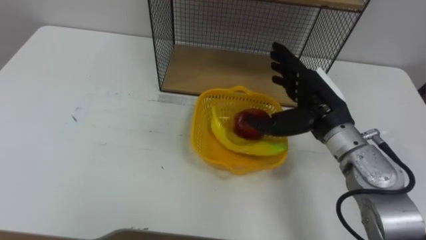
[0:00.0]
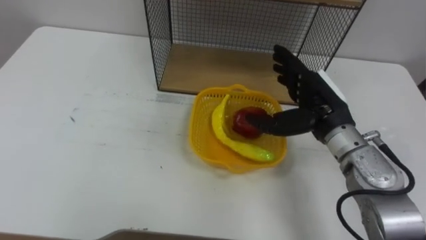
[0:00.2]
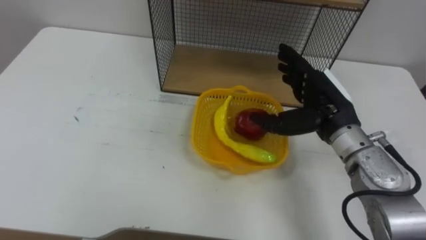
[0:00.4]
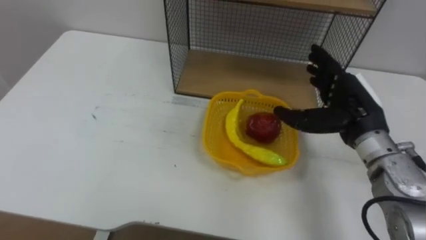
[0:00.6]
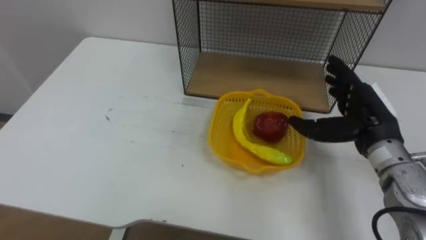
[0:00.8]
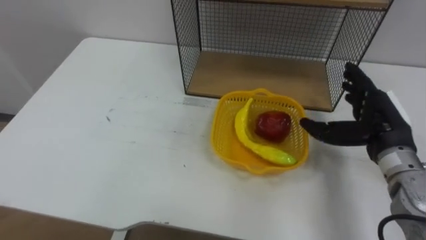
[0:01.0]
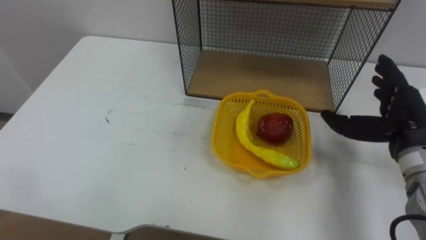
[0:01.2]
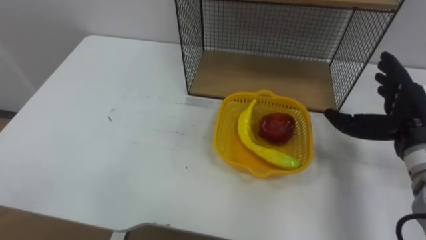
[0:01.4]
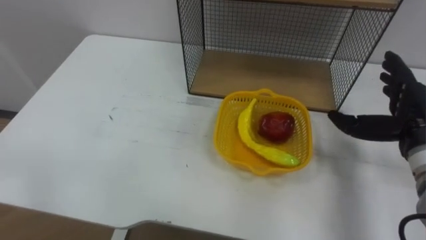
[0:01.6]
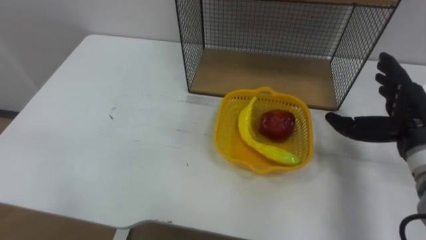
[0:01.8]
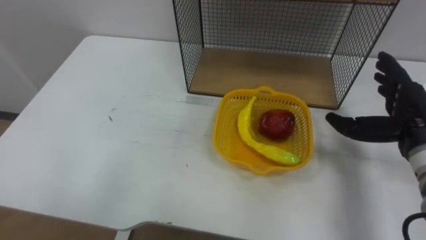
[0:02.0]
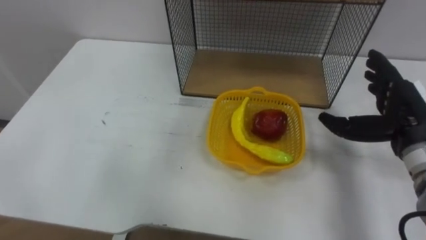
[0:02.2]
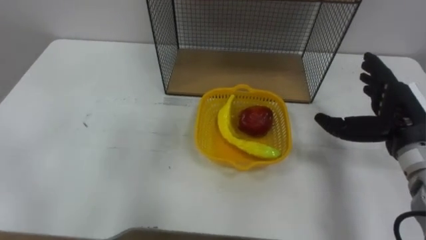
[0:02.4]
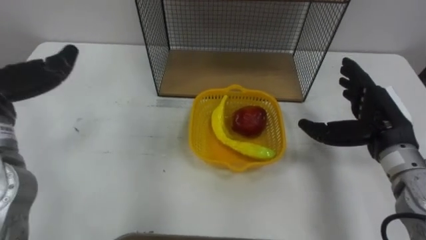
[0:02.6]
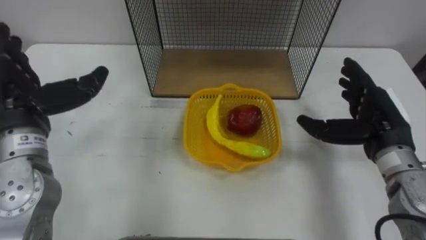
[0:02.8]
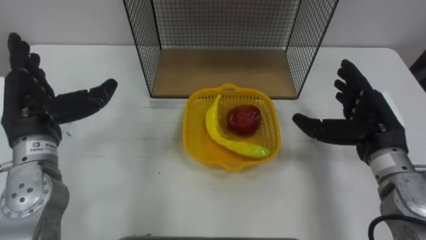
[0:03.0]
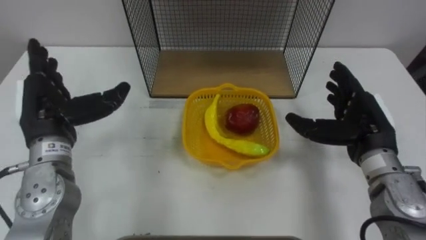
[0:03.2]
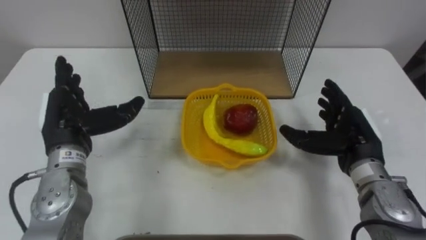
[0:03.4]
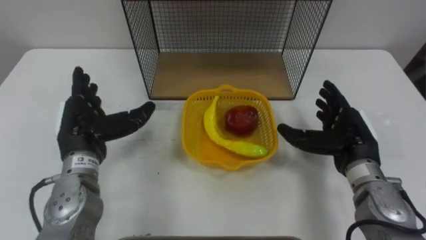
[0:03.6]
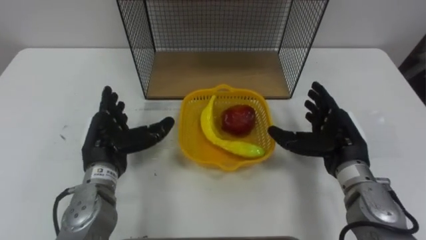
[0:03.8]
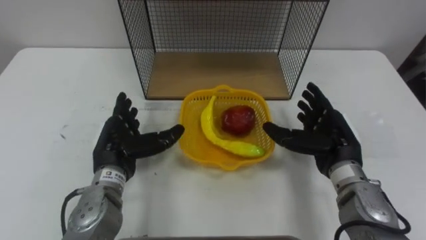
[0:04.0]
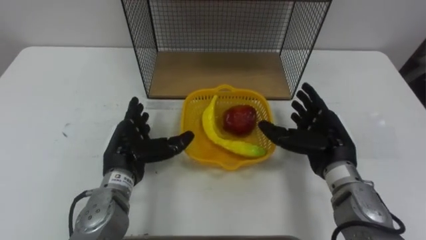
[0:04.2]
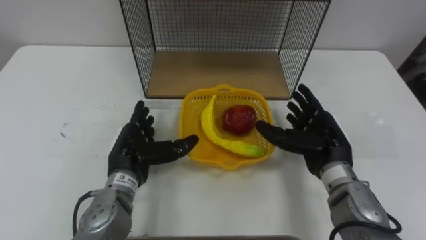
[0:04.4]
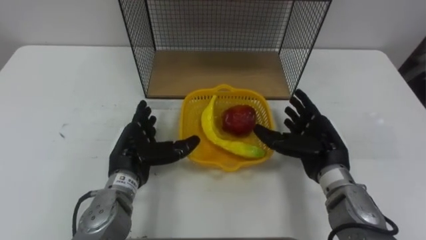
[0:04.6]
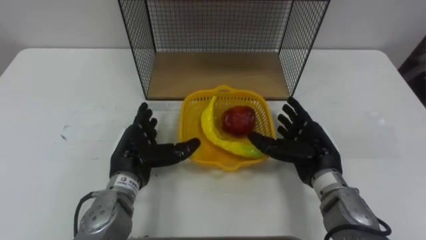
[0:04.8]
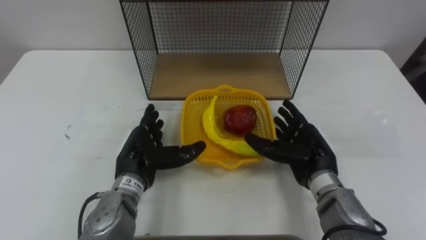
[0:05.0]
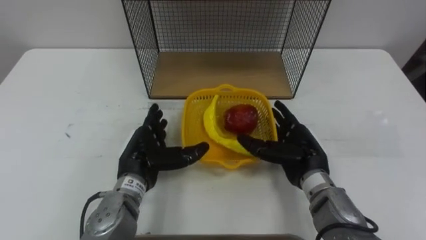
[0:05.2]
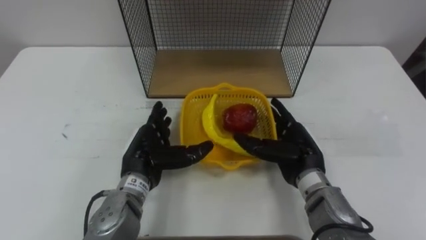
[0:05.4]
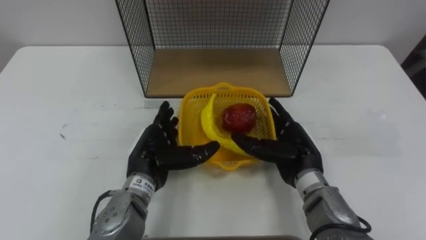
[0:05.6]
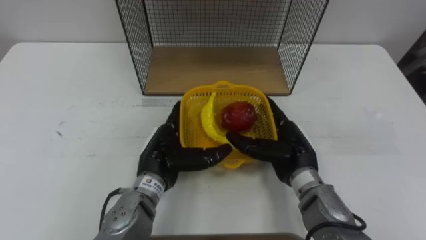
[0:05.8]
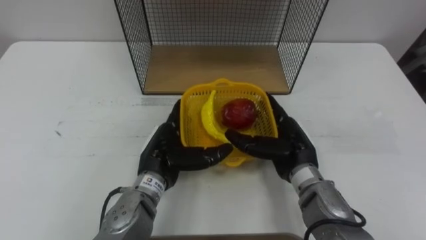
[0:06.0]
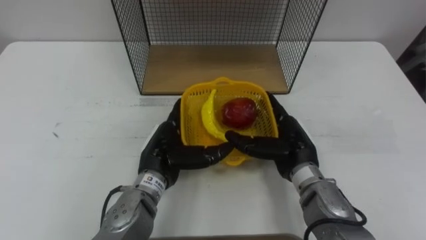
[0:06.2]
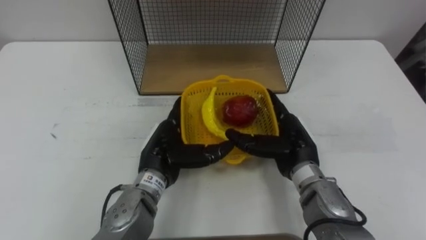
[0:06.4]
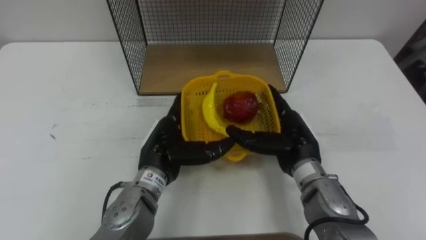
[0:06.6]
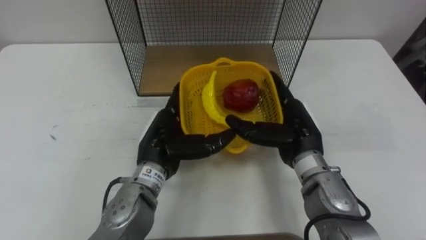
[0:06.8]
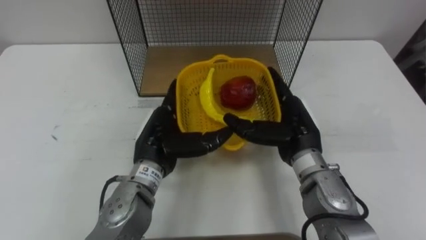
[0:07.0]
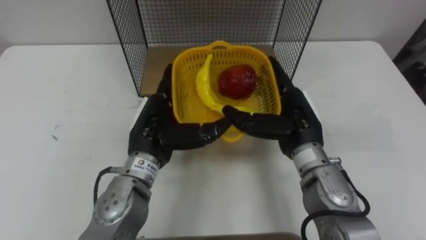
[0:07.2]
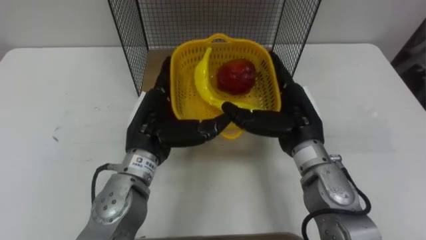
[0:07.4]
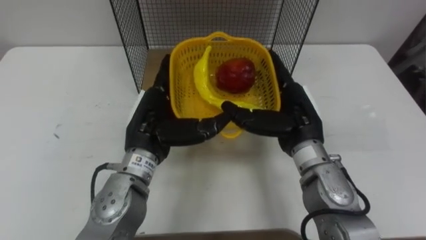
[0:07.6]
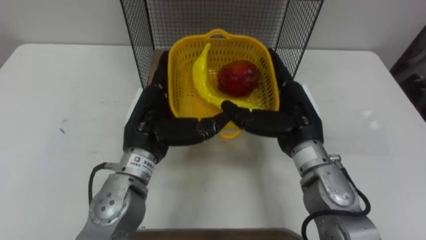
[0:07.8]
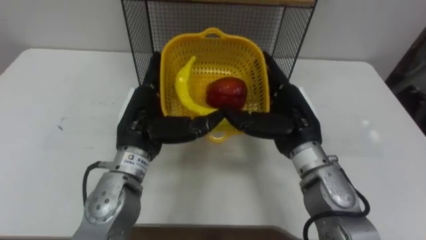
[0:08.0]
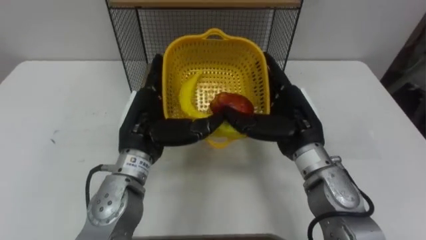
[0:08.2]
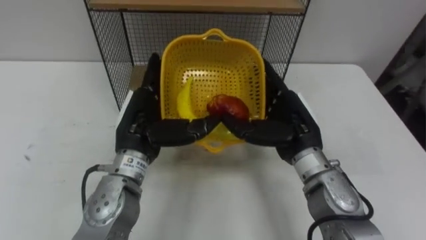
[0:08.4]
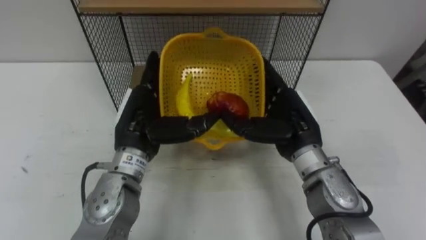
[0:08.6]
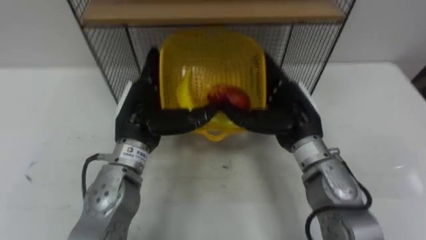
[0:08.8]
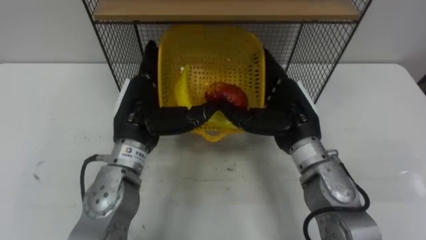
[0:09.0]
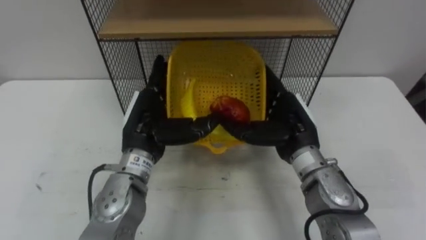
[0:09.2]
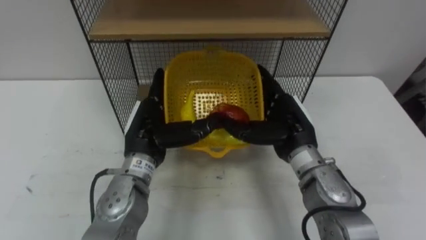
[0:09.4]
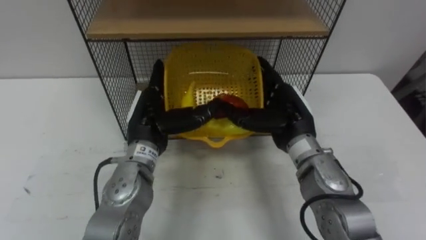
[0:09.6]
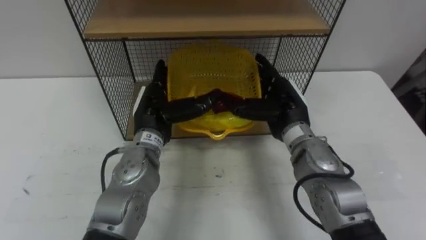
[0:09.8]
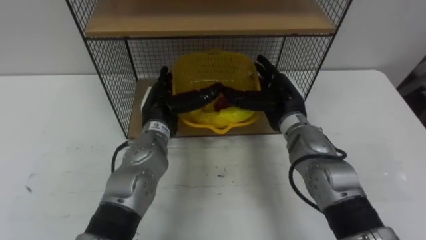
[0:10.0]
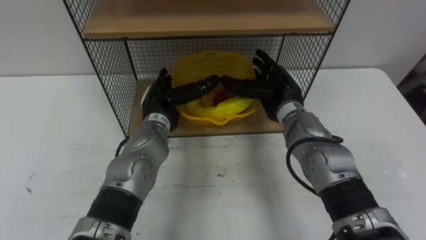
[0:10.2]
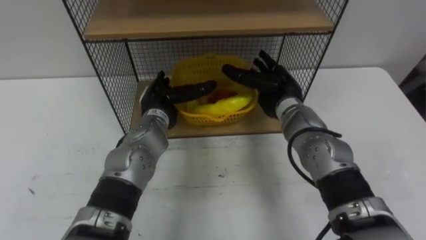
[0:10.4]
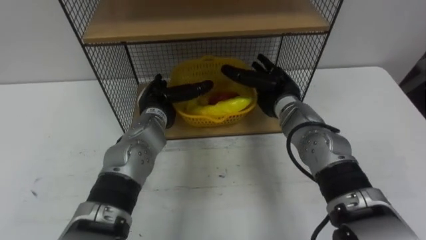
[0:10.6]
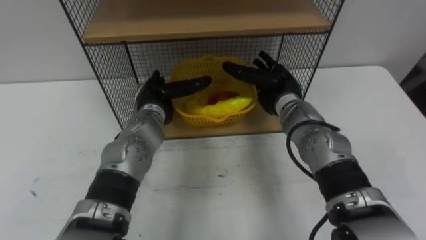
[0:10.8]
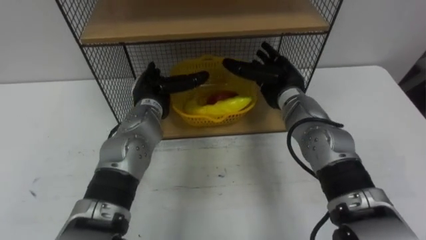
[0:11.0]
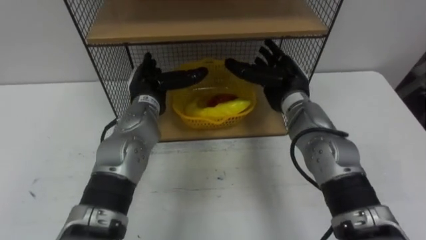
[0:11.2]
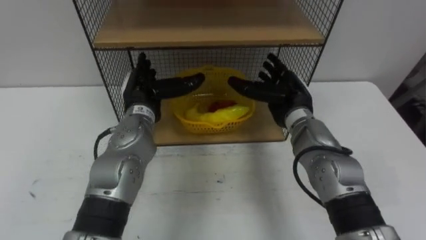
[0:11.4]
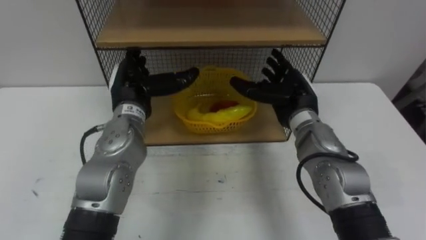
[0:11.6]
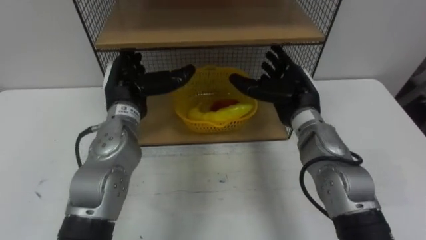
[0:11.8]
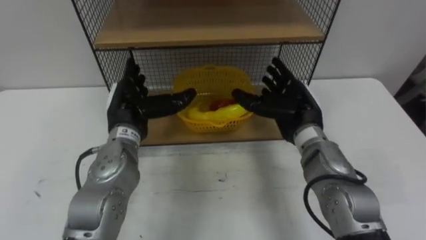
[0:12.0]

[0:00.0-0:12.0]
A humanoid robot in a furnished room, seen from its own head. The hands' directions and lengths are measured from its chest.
Task of the whole recording: Put the fruit on the table into the basket, then place the basket on the shelf.
0:00.0 to 0:01.6: The right hand is displaced to the right by roughly 15 cm.
0:01.6 to 0:03.0: The right hand shifts about 5 cm to the left.
0:03.0 to 0:04.4: The left hand goes about 15 cm to the right and downward, while the right hand travels to the left by some 5 cm.
0:04.4 to 0:06.0: The left hand is displaced to the right by approximately 5 cm. Meanwhile the right hand travels to the left by some 5 cm.
0:06.0 to 0:07.6: The two hands go approximately 5 cm upward.
0:09.0 to 0:10.4: The left hand moves forward and downward, some 10 cm, while the right hand is displaced forward by approximately 10 cm.
0:10.4 to 0:12.0: The right hand is displaced backward by approximately 5 cm, while the left hand is displaced to the left by approximately 5 cm.

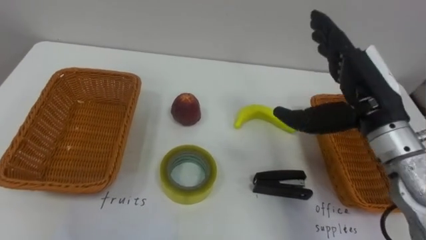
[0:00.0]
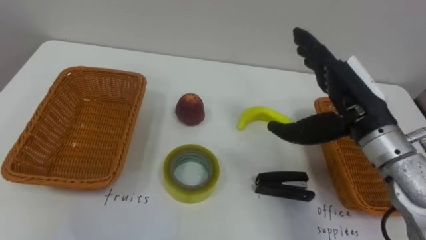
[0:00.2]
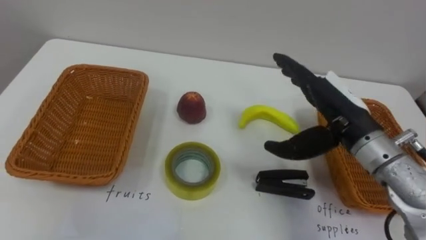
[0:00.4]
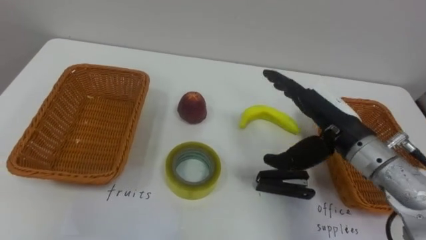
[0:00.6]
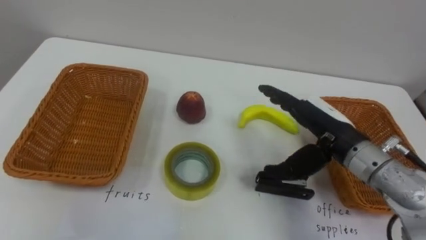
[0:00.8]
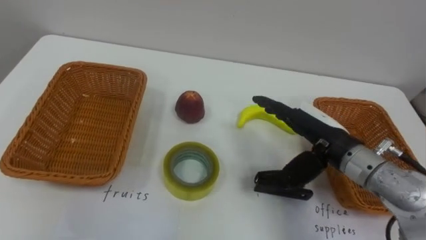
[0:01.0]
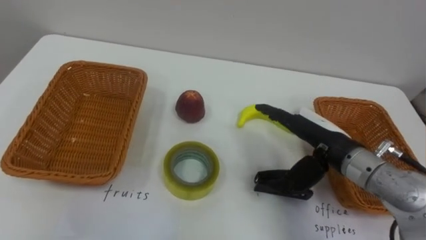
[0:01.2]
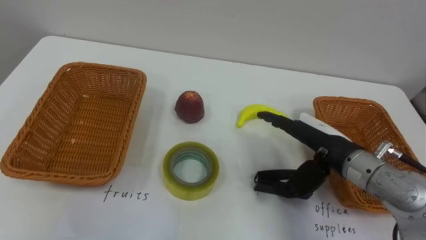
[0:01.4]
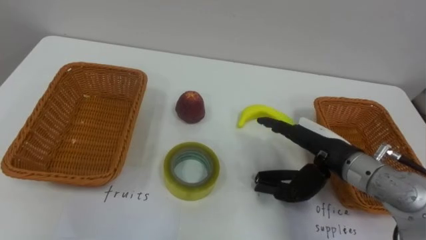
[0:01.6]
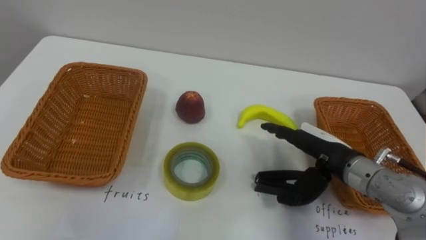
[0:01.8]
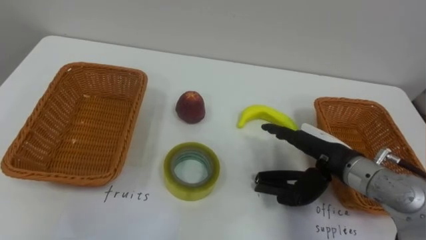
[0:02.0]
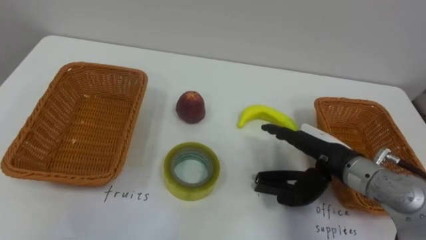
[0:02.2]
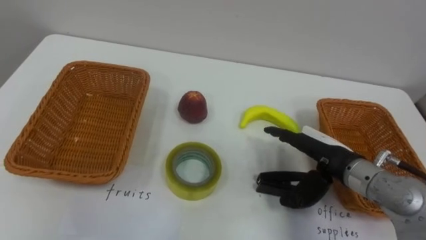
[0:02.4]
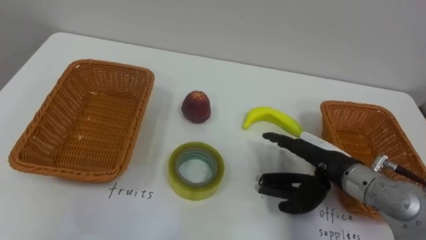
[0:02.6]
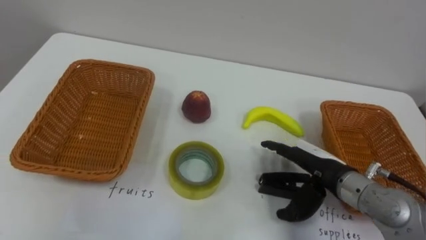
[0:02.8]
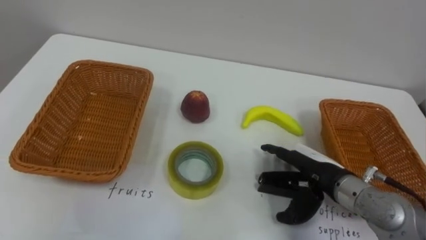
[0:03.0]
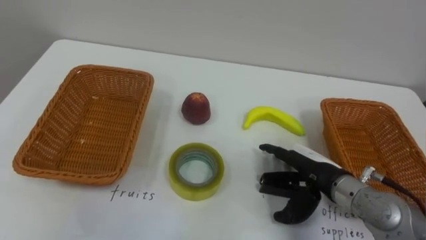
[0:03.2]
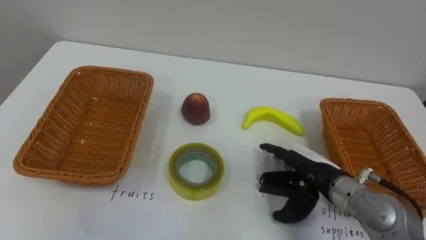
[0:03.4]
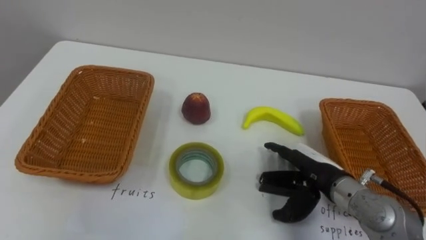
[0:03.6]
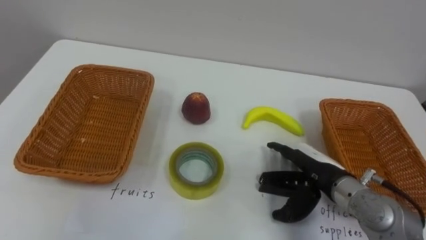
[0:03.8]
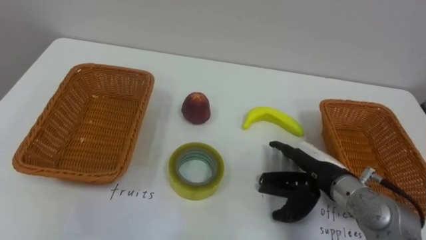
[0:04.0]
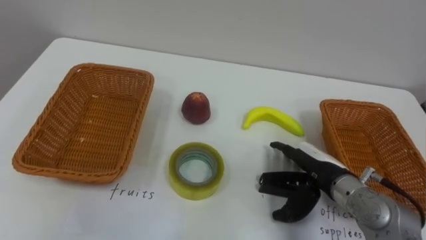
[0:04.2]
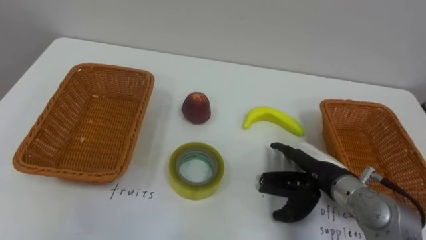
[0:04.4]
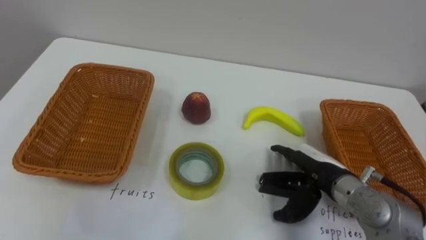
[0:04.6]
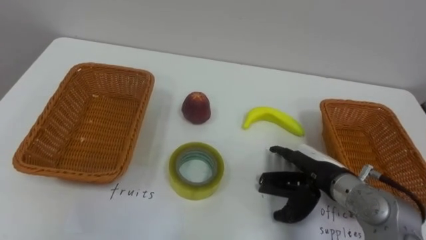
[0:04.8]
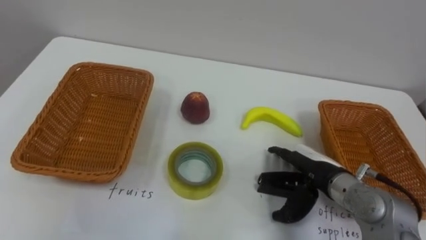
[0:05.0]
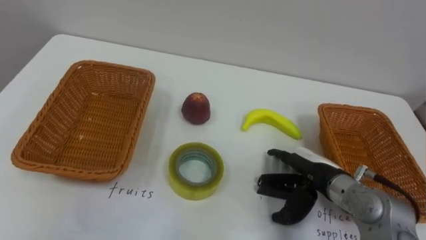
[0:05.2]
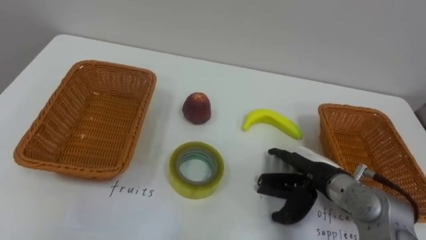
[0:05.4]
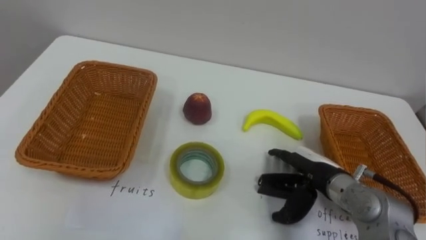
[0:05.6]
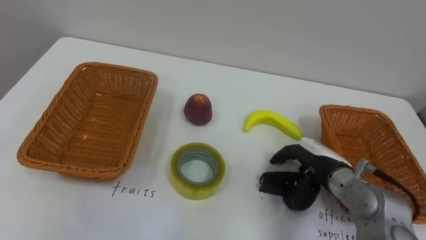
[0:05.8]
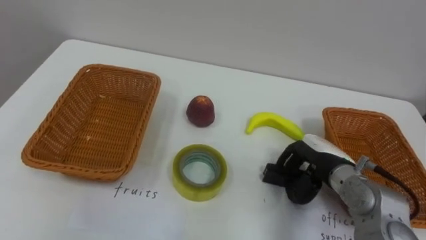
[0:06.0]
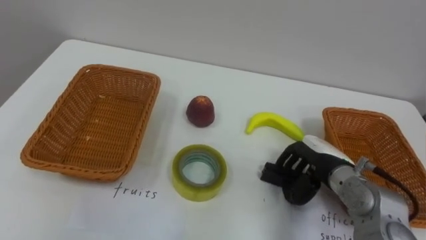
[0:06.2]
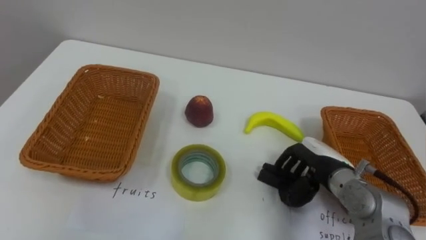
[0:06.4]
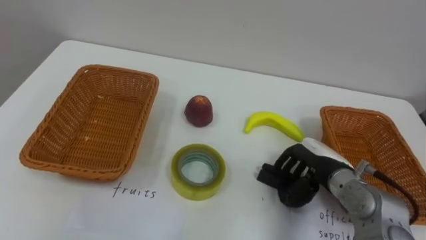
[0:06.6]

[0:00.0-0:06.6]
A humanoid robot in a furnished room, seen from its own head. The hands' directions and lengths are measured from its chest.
Task of the whole recording: Separate the items on the table and place them into the two baskets.
0:00.0 to 0:01.6: The right hand travels downward by about 10 cm.
0:01.6 to 0:03.2: The right hand moves roughly 5 cm.
0:05.0 to 0:06.6: The right hand closes up.
